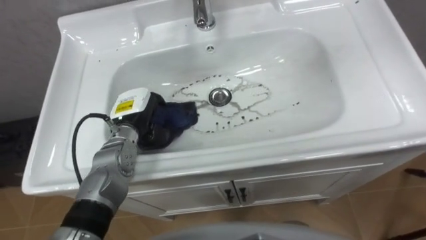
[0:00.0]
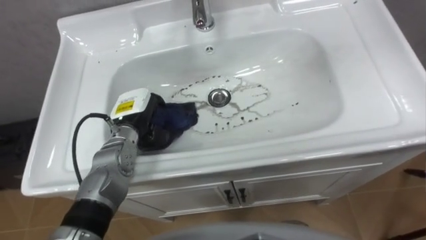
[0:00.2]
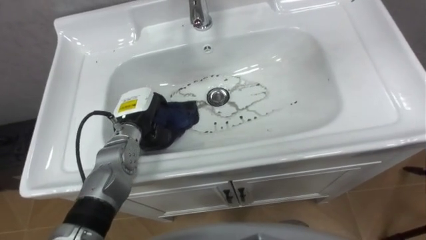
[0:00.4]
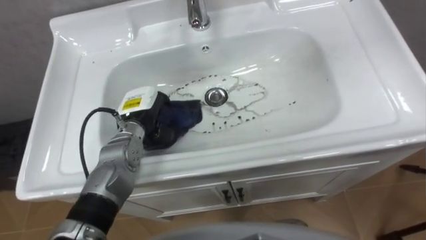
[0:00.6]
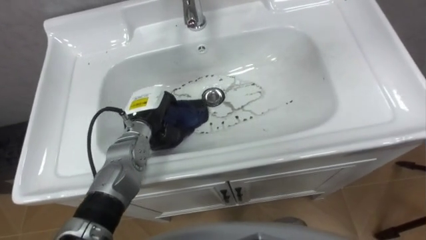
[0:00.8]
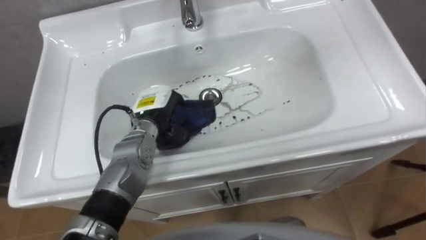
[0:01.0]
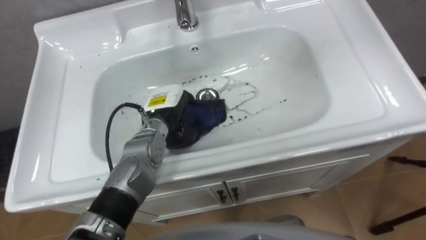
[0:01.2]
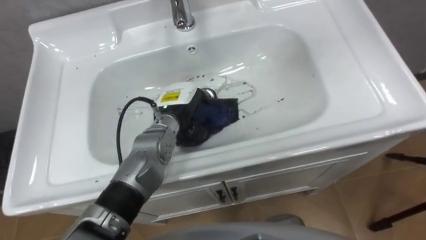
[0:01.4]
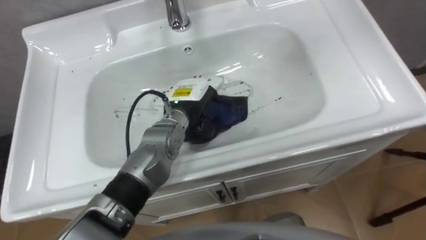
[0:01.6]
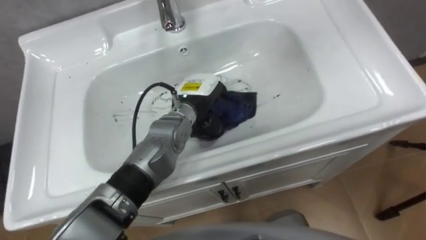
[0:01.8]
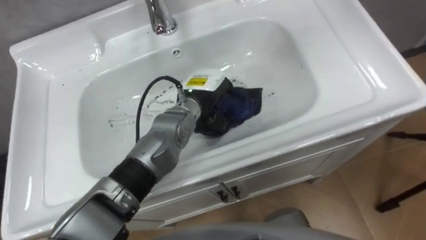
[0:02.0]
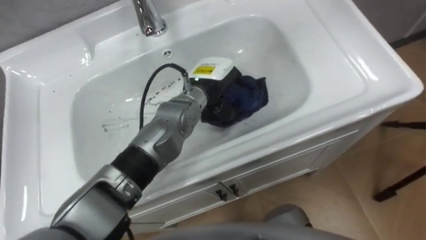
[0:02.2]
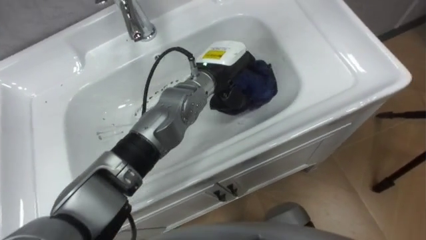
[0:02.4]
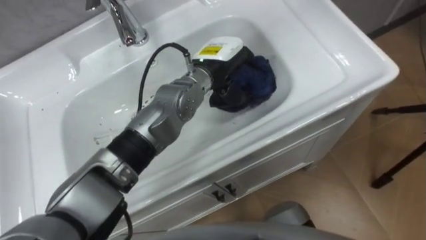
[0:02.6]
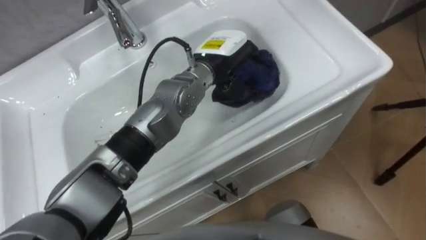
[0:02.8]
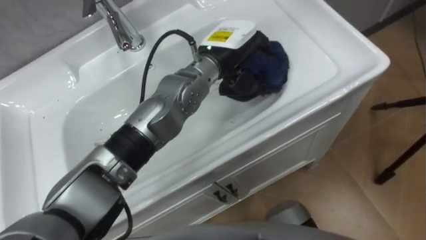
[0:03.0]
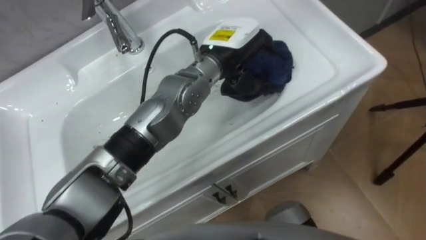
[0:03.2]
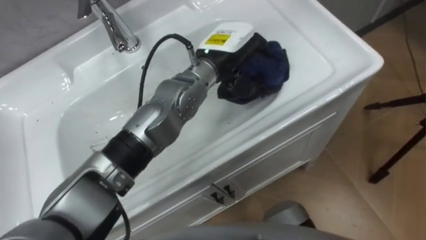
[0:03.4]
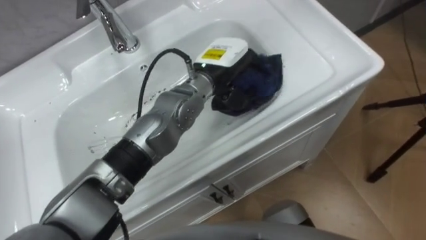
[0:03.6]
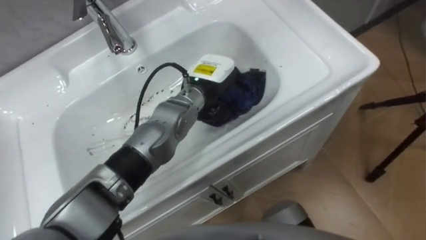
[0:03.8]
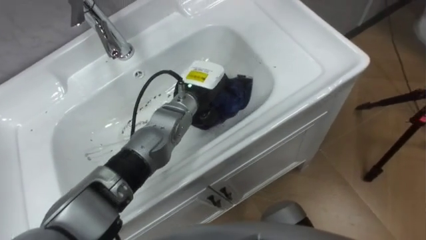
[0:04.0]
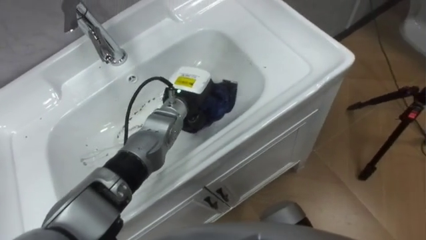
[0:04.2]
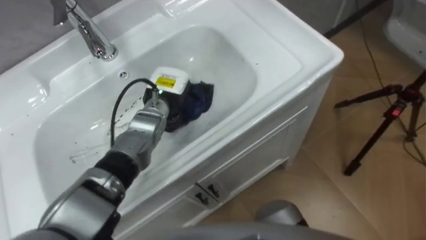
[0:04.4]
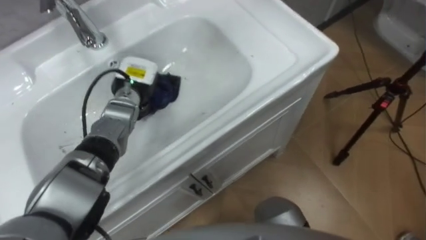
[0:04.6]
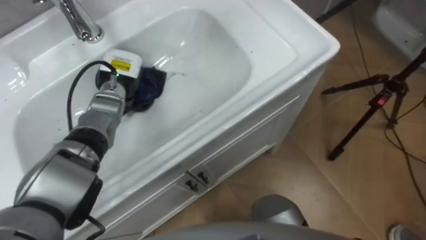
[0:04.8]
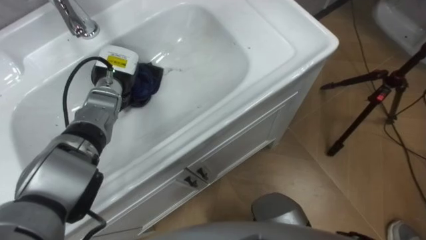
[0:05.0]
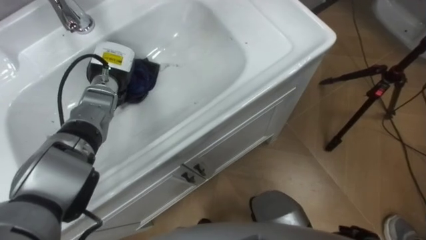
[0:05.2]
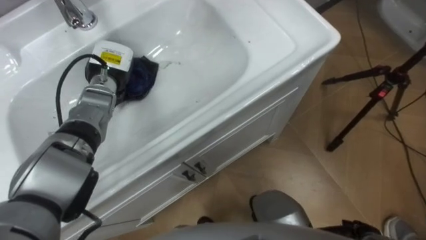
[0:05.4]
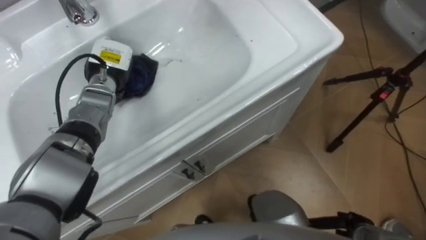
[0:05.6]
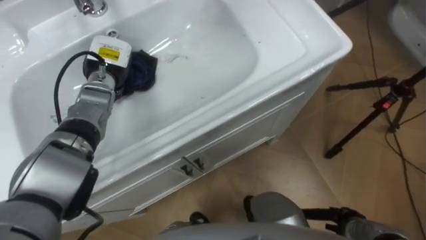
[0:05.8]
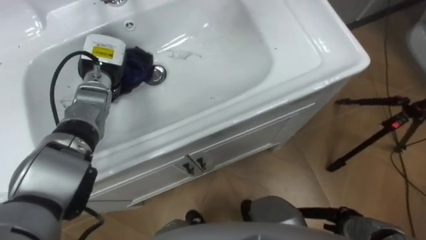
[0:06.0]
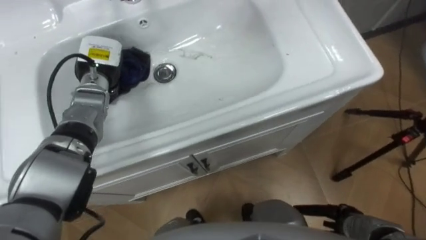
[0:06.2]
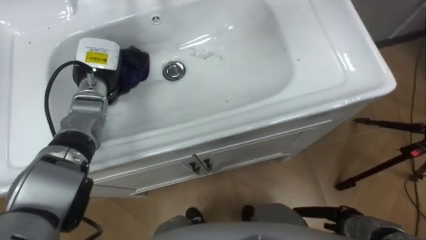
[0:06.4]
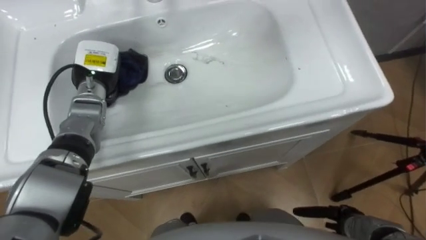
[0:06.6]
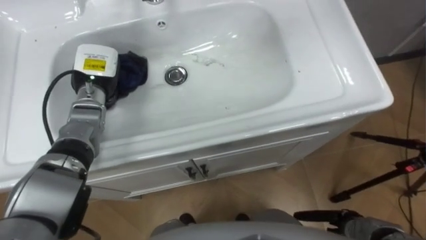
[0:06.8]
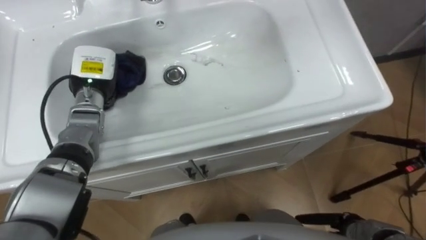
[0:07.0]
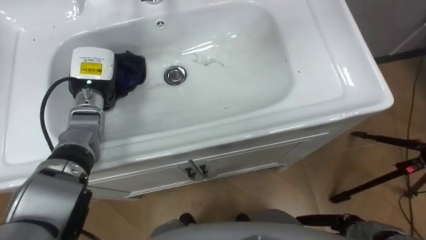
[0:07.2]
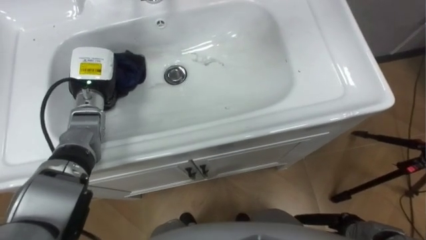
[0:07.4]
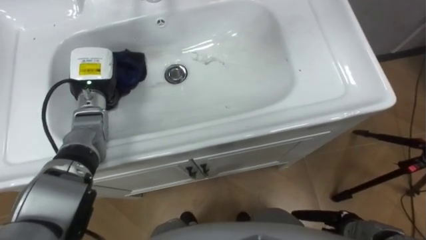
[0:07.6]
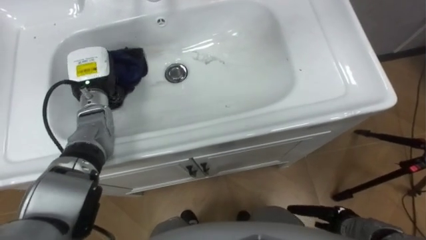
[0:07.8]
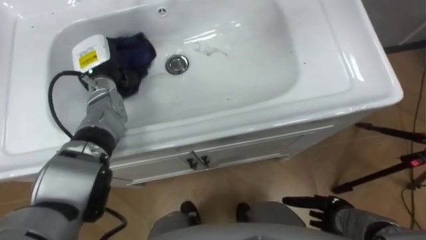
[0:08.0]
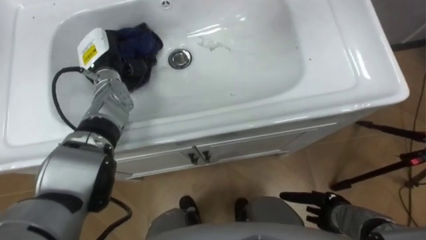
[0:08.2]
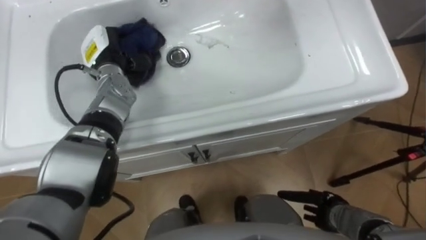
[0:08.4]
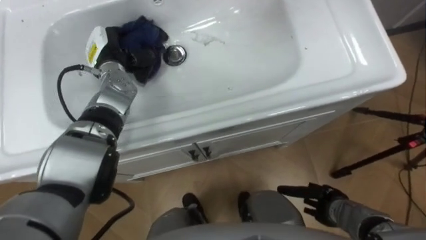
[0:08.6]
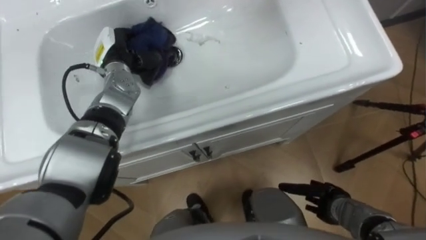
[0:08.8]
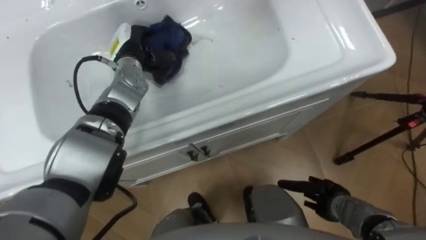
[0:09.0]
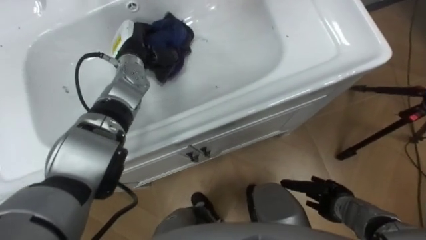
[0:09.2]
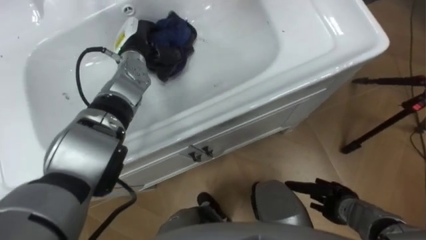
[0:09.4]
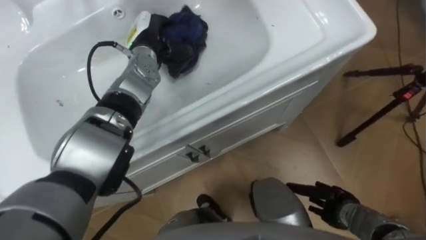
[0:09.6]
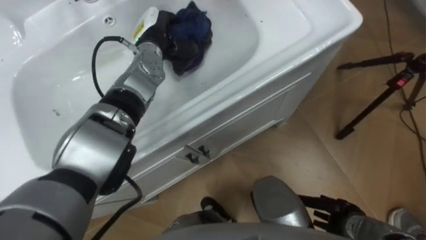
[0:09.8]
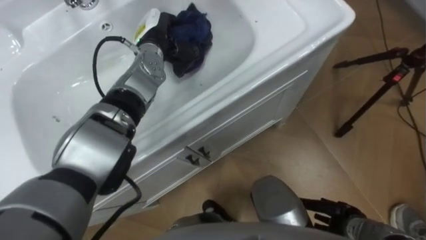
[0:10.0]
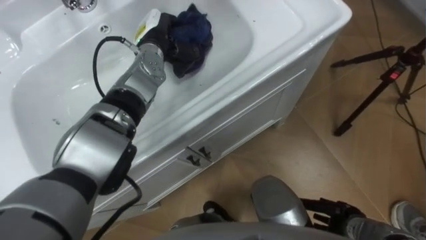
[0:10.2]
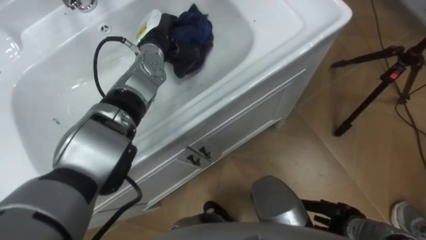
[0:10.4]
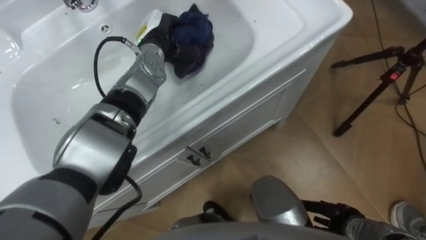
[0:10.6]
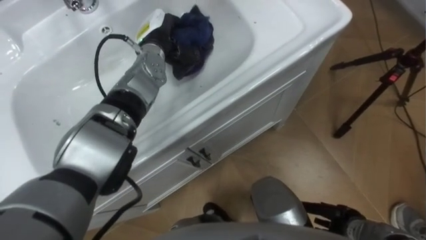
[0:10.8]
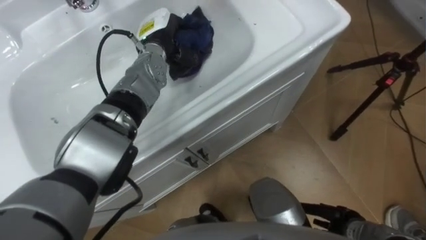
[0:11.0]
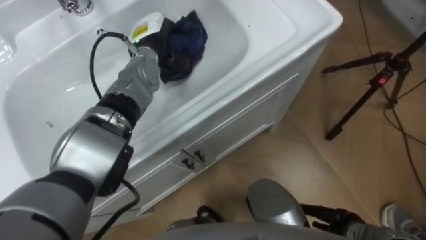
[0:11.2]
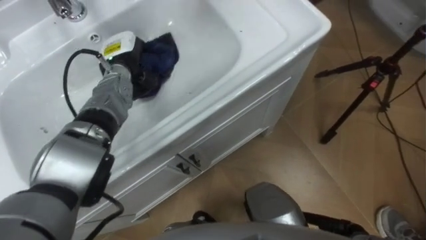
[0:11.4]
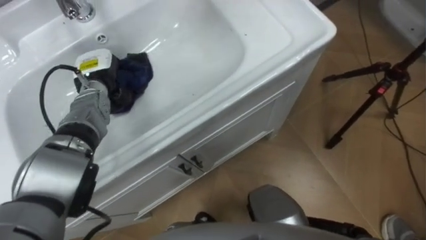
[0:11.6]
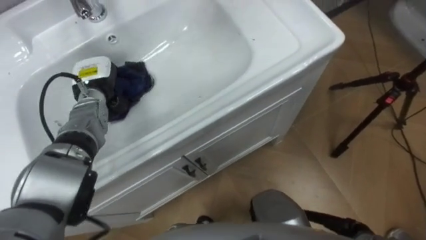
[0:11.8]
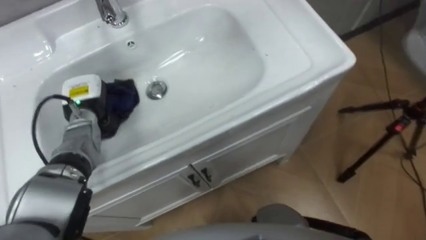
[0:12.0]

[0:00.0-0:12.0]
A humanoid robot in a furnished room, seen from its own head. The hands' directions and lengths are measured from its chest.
Task of the whole recording: Use the cloth on the right to wipe away the black stain in the sink.
0.0 to 1.6 s: The left hand goes some 10 cm to the right.
1.6 to 3.0 s: The left hand heads upward and to the right, covering about 15 cm.
3.0 to 4.4 s: The left hand goes some 20 cm to the left and downward.
4.4 to 6.0 s: The left hand shifts some 15 cm to the left.
7.6 to 9.0 s: The left hand is displaced to the right and forward by some 10 cm. The right hand goes some 5 cm forward.
9.0 to 10.4 s: The right hand moves backward, roughly 5 cm; the left hand goes roughly 5 cm to the right.
10.4 to 12.0 s: The left hand moves to the left, backward and downward, some 20 cm.

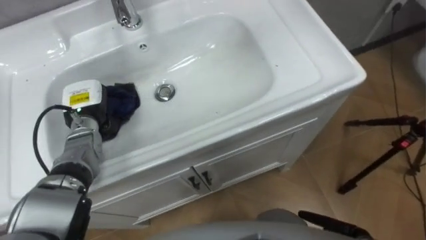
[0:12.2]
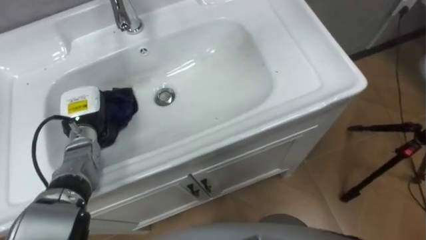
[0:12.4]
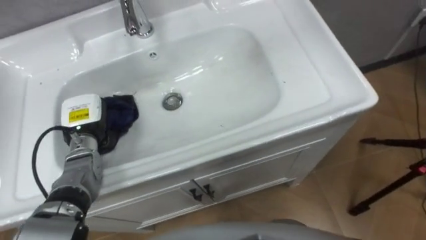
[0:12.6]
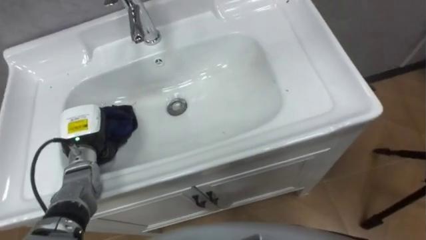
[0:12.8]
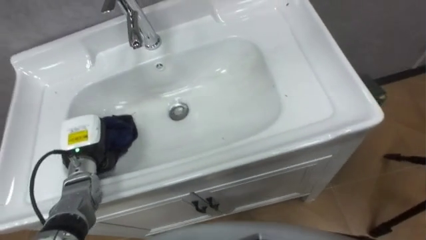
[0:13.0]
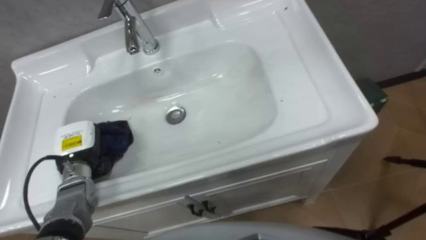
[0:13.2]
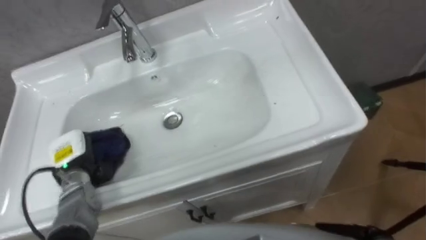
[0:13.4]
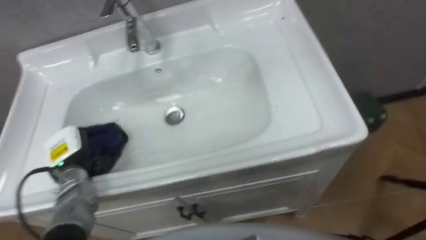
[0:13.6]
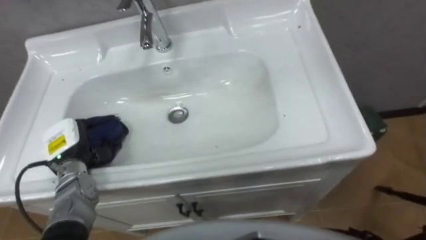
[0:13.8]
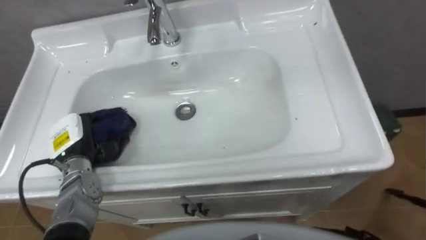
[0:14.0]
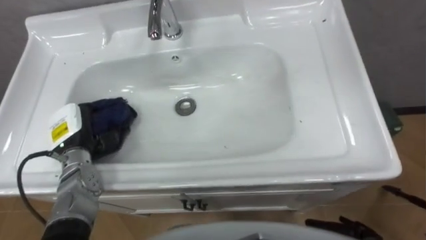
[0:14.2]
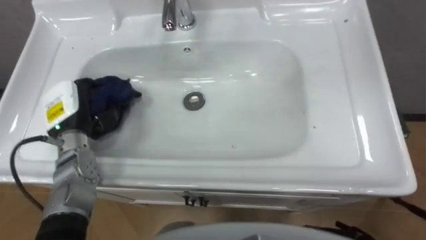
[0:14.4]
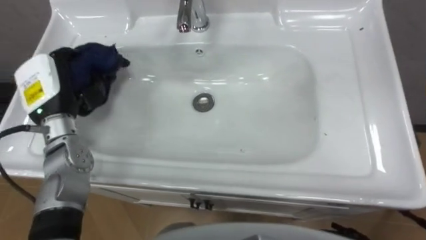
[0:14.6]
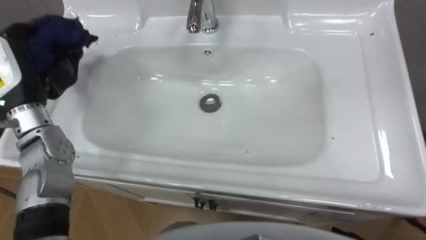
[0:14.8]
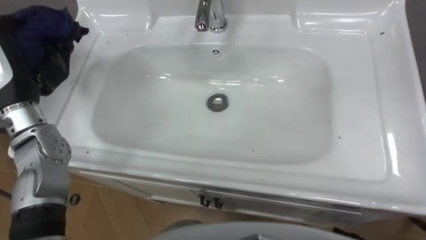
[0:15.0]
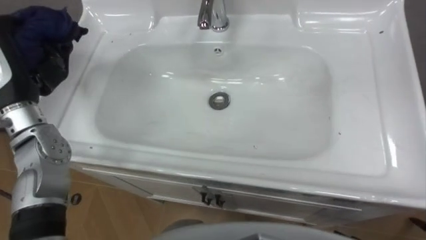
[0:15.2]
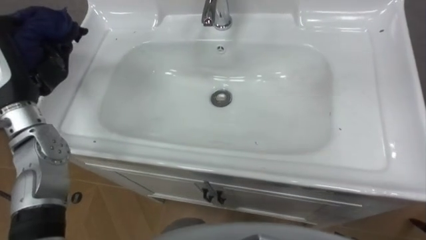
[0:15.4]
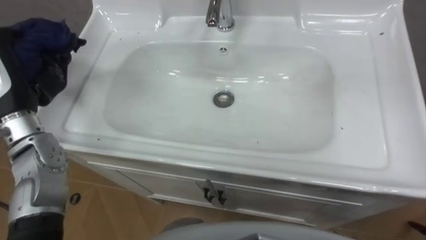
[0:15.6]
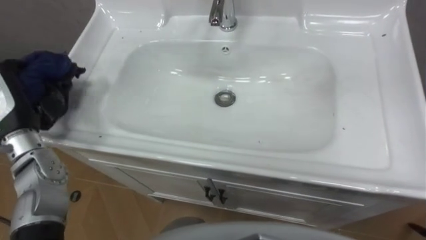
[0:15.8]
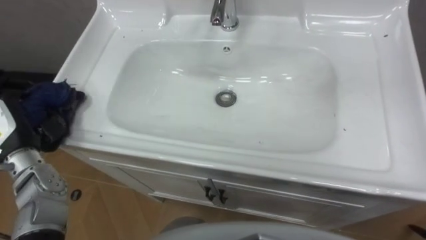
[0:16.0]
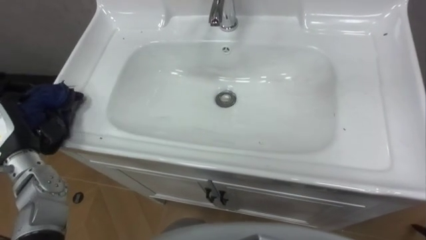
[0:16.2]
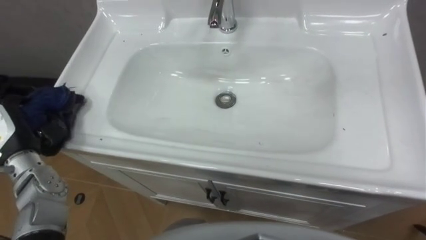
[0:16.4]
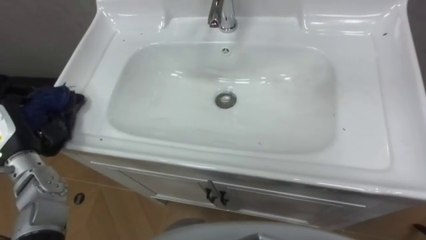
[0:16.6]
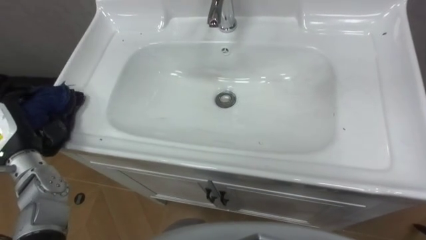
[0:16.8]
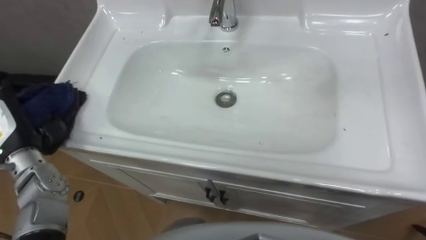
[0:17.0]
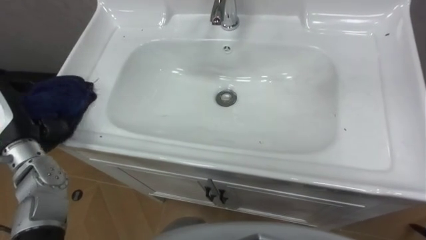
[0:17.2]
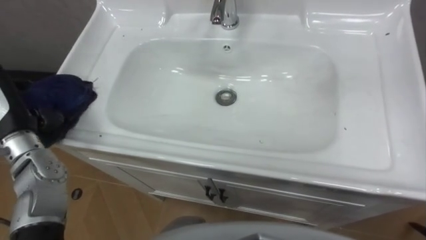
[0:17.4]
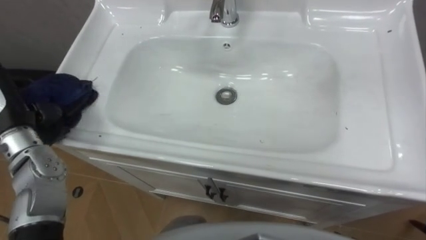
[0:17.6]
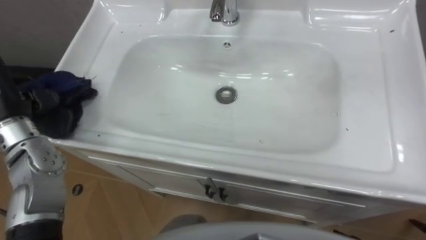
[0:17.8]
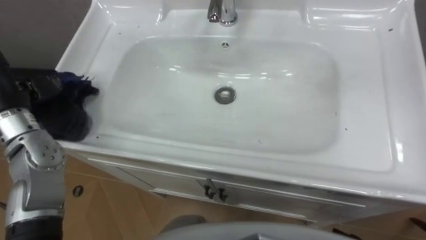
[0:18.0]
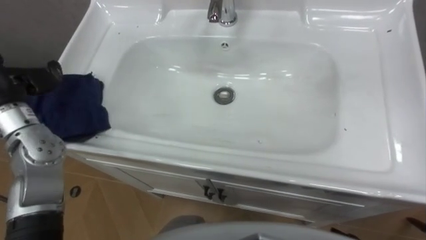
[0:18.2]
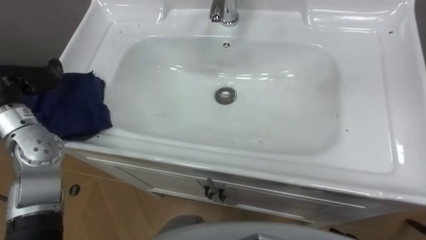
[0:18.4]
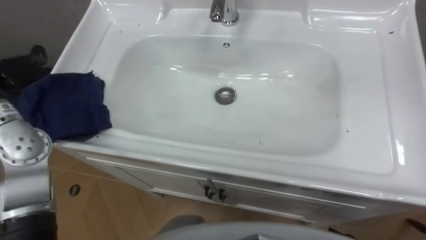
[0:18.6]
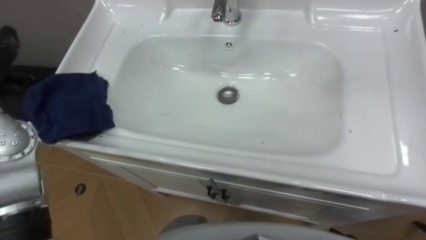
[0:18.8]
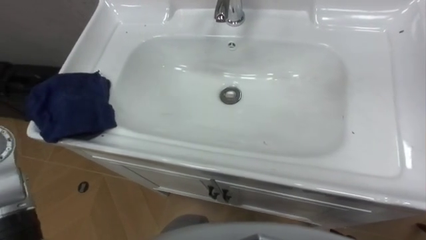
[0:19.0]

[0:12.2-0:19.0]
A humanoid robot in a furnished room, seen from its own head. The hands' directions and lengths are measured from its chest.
Task of the whole recording: Use the cloth on the right to wipe away the black stain in the sink.
12.2 to 13.6 s: The left hand travels backward by roughly 10 cm.
